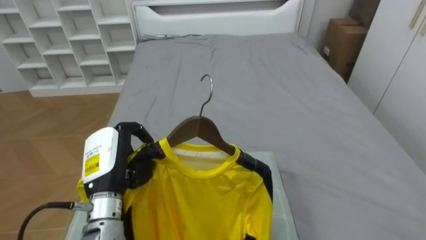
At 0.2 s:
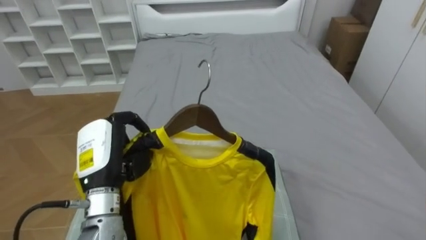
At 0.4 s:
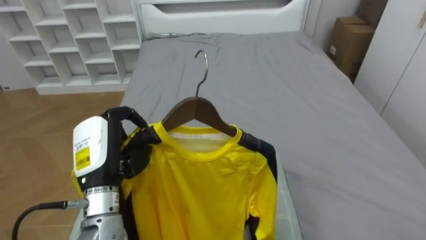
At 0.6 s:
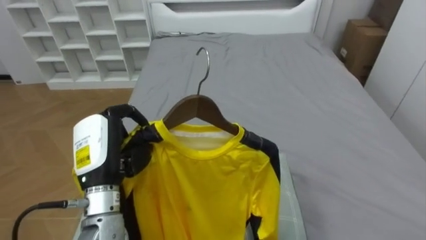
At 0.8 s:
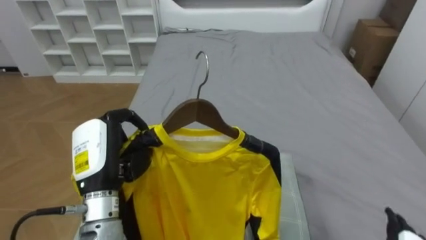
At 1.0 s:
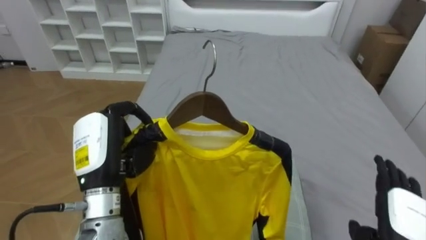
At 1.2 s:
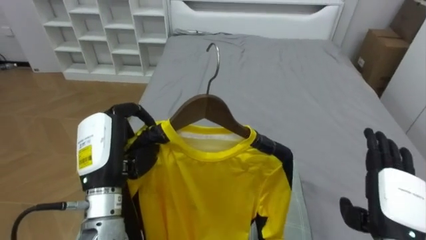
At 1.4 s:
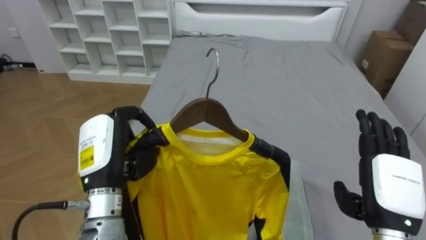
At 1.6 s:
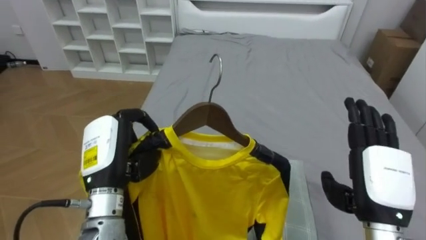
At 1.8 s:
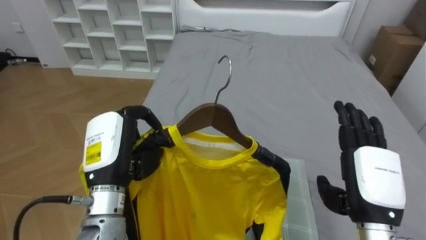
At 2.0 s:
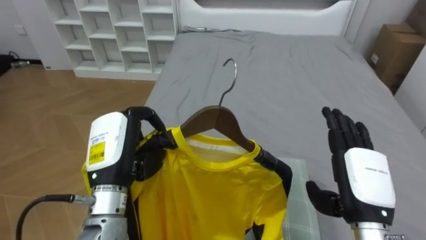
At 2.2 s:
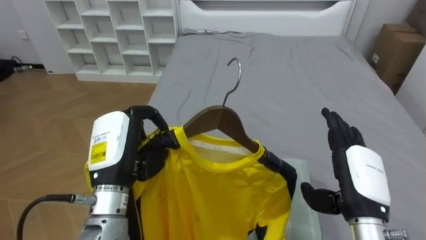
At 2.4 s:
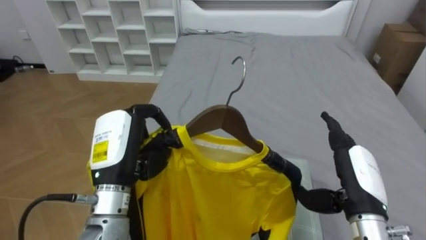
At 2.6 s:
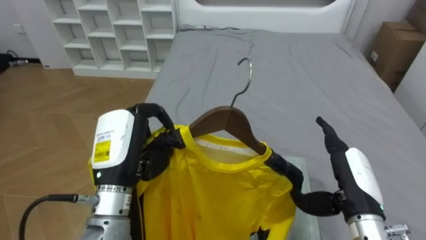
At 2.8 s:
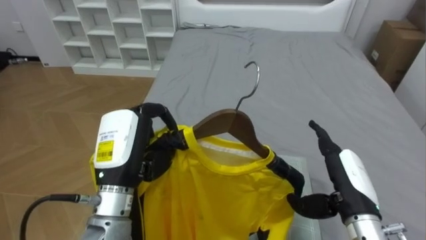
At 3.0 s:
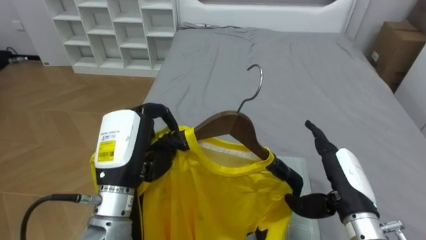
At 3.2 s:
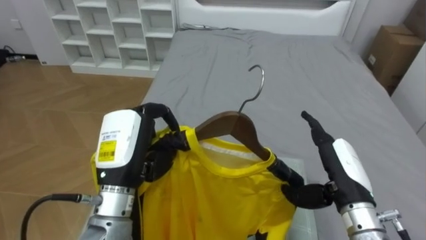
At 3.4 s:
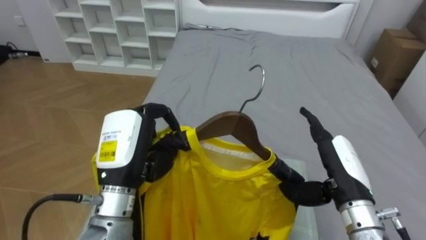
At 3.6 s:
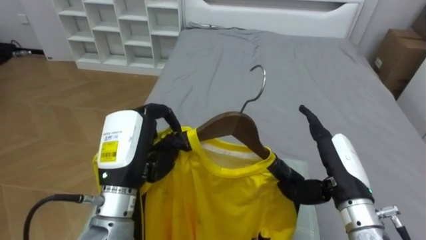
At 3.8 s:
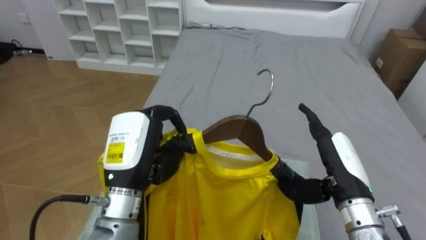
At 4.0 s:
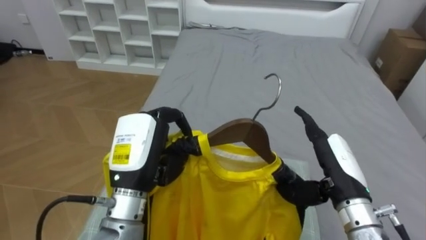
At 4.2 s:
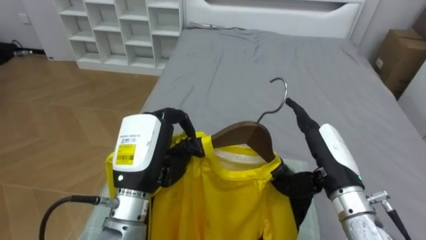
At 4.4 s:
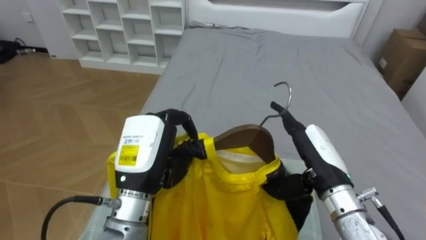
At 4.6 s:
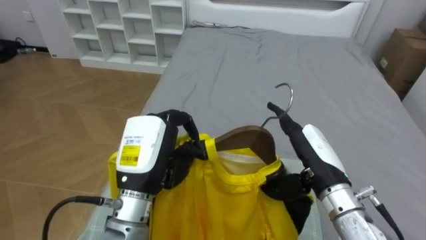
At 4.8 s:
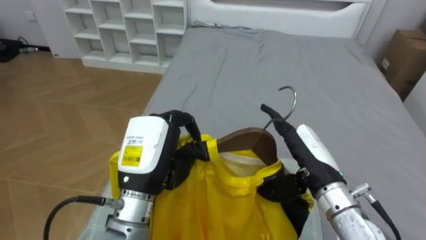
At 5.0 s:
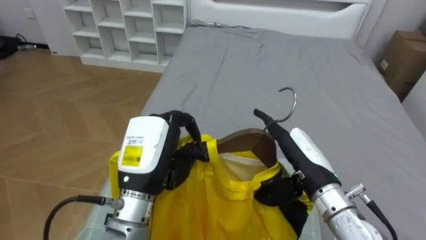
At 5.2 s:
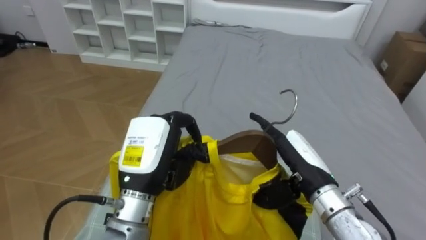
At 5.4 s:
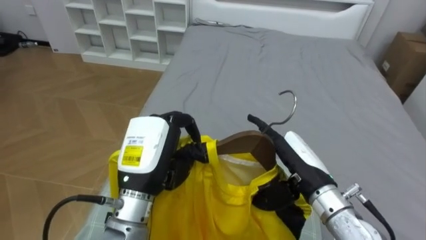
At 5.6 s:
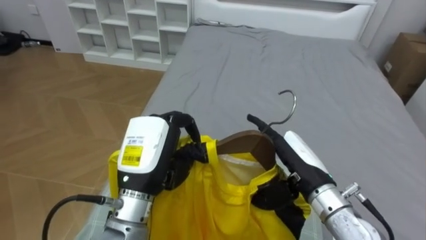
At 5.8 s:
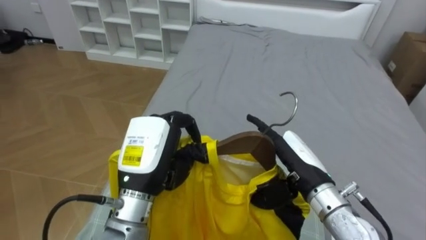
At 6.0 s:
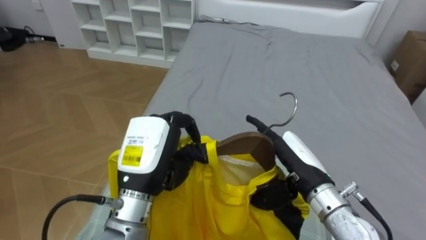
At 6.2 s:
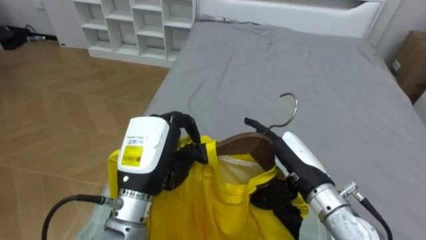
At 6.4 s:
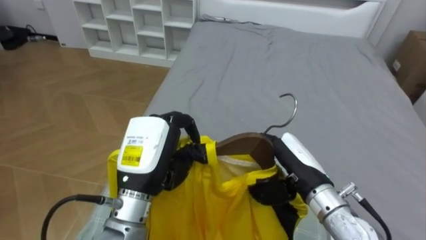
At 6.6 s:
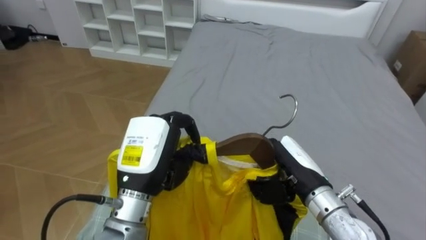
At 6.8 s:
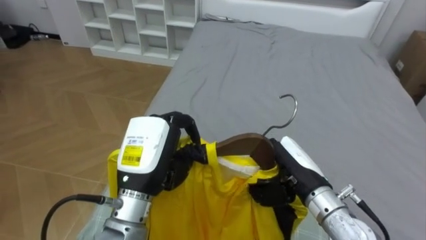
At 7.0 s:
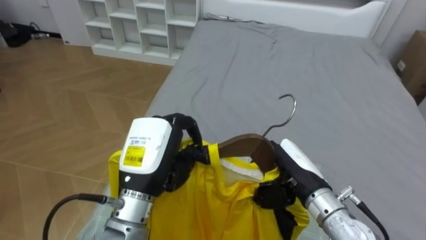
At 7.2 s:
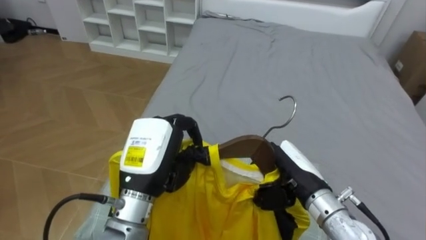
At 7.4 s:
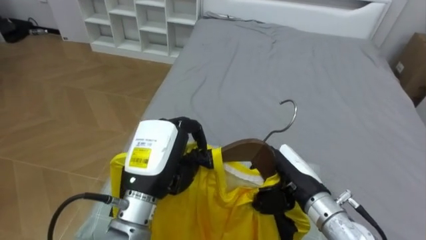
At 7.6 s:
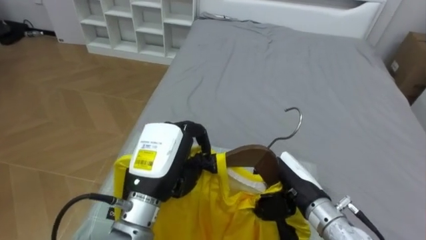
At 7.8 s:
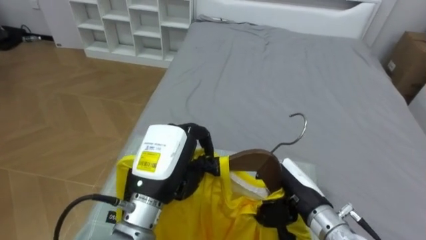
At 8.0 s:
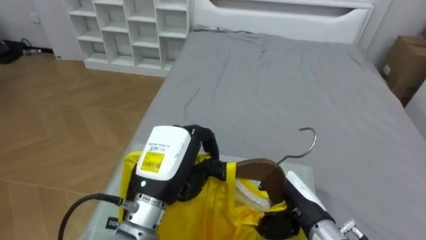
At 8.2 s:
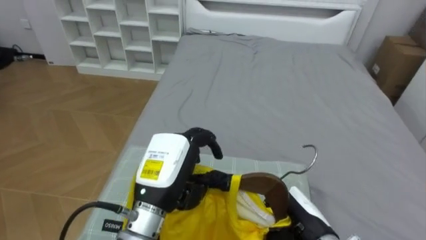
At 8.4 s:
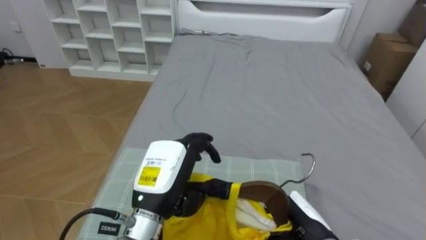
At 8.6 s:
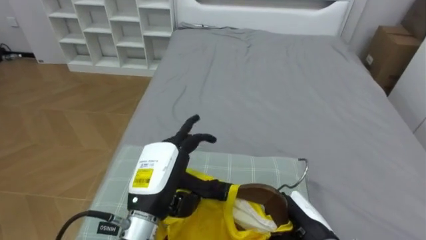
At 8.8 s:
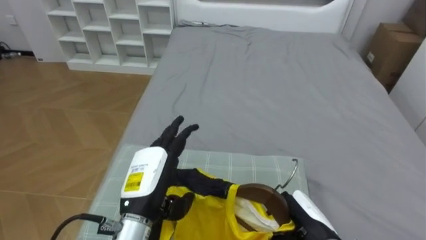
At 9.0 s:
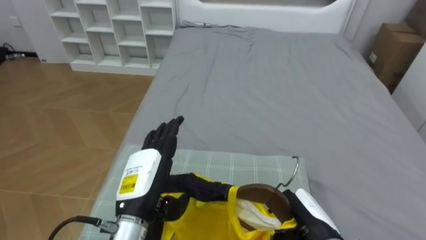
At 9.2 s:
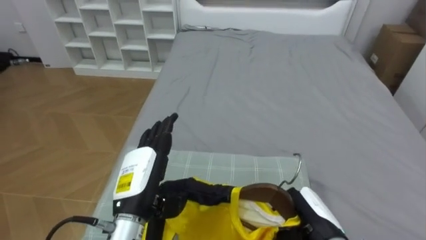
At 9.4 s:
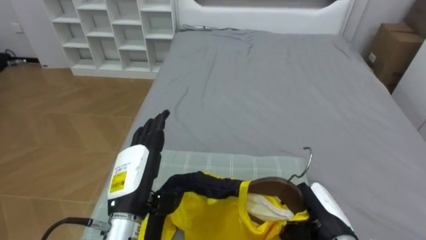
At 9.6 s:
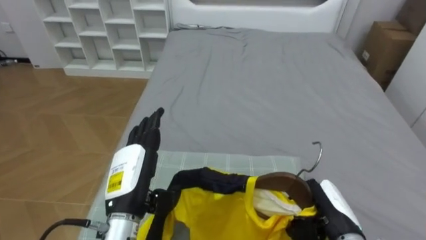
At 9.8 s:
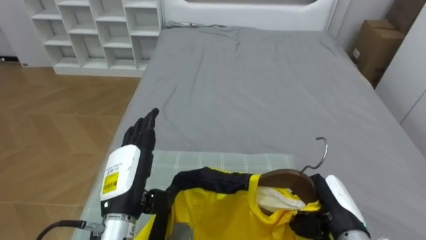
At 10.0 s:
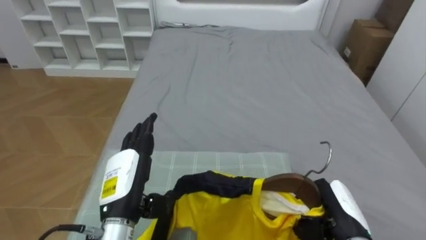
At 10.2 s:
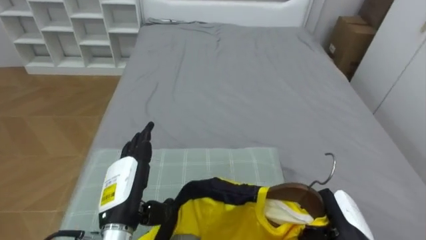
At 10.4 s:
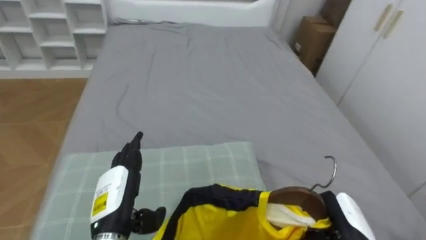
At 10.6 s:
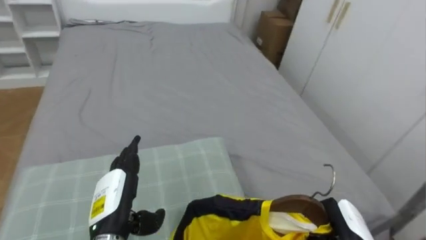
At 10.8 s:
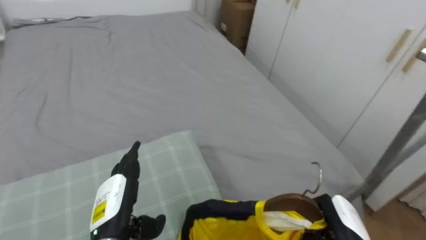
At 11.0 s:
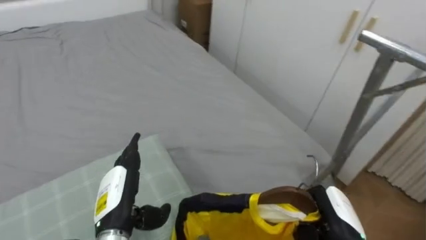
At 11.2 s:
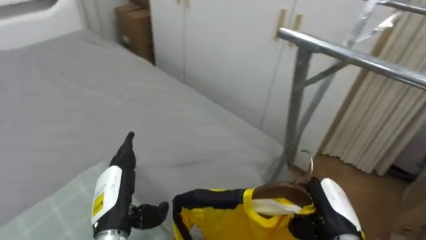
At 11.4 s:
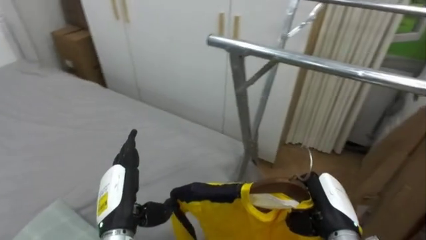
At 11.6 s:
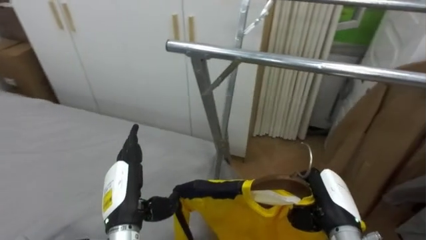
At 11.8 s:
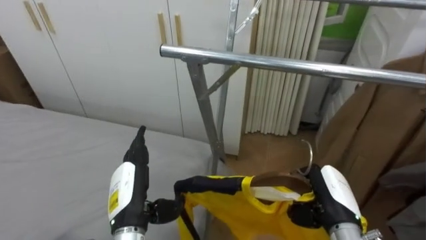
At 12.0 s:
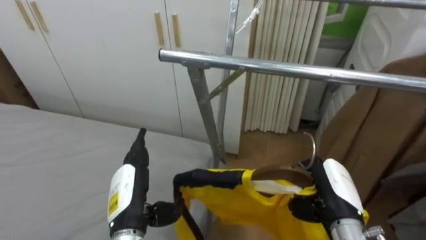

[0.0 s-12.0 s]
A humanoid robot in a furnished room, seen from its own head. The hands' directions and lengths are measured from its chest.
Task of the whole recording: Pick up the yellow shirt on the bed and hang it on the clothes rack on the right.
1.6 to 3.0 s: The right hand ends up about 5 cm from where it was.
3.0 to 4.4 s: The right hand moves about 5 cm.
6.0 to 7.6 s: The right hand closes up.
7.6 to 9.0 s: The hands both shift downward by roughly 5 cm. The left hand opens up.
9.0 to 10.4 s: The right hand travels to the right by about 5 cm, while the left hand shifts by roughly 5 cm.
10.4 to 12.0 s: The robot faces about 65 degrees further to its right. The right hand goes roughly 5 cm upward.

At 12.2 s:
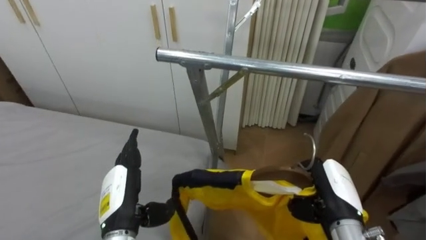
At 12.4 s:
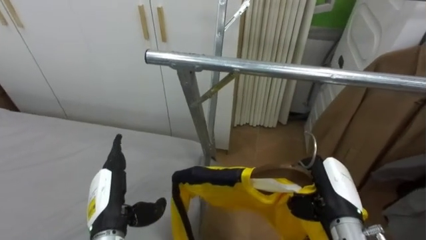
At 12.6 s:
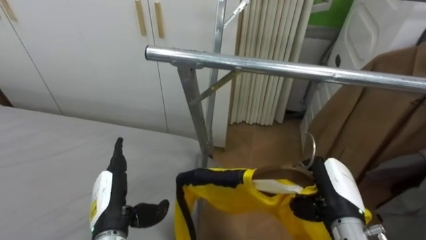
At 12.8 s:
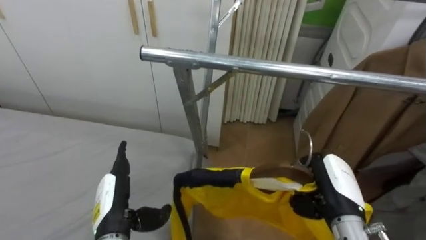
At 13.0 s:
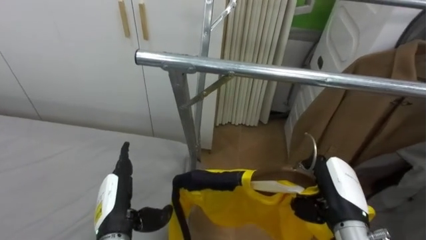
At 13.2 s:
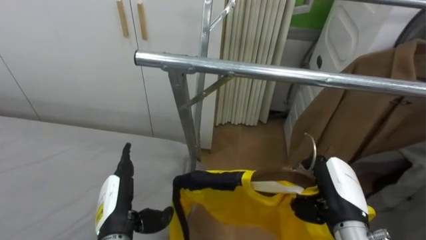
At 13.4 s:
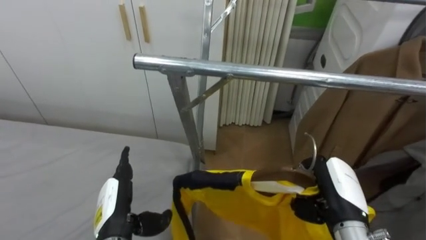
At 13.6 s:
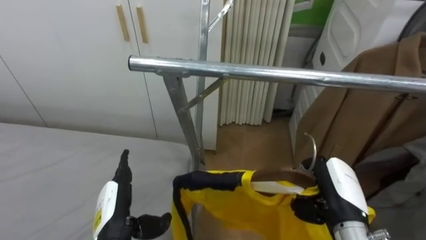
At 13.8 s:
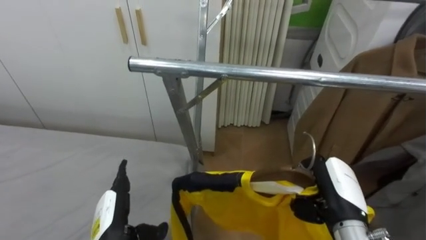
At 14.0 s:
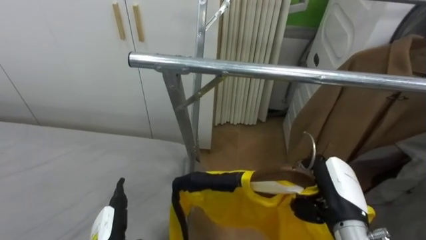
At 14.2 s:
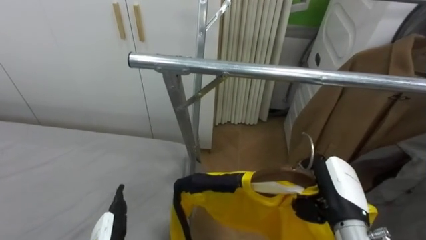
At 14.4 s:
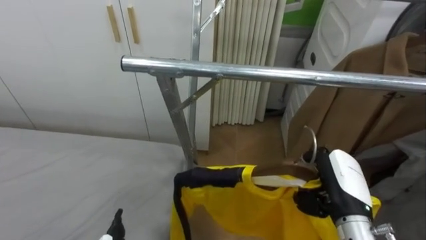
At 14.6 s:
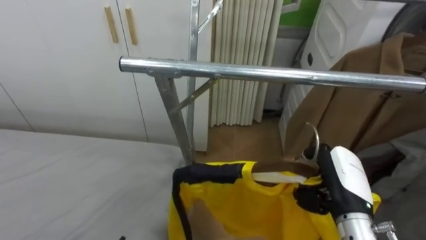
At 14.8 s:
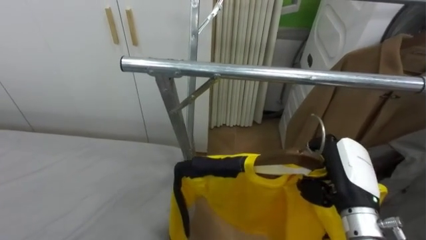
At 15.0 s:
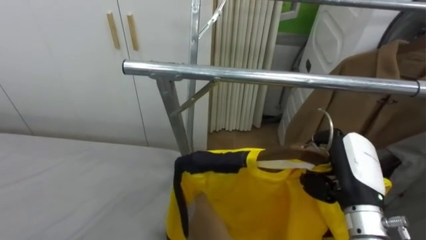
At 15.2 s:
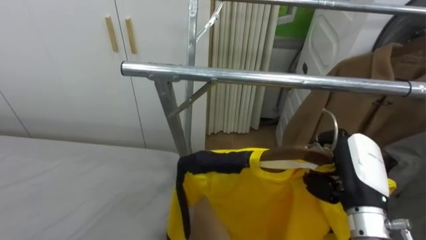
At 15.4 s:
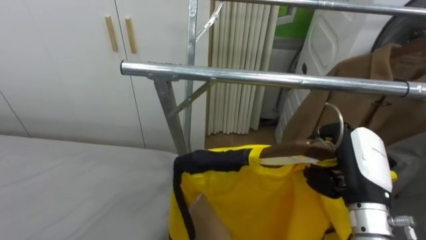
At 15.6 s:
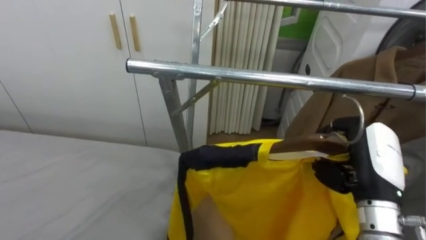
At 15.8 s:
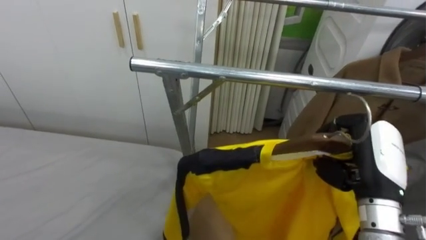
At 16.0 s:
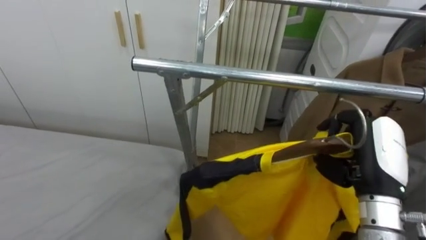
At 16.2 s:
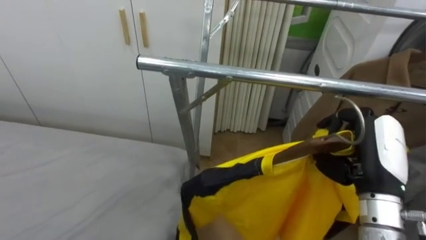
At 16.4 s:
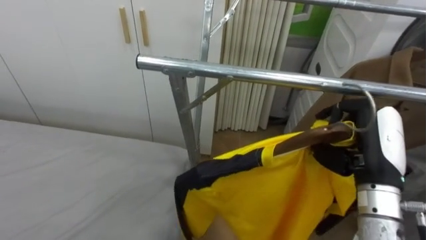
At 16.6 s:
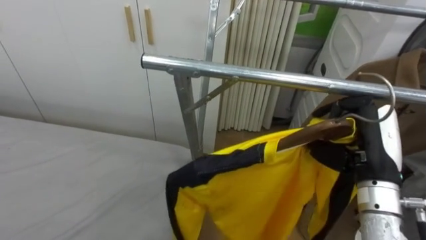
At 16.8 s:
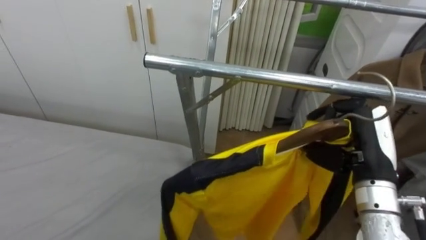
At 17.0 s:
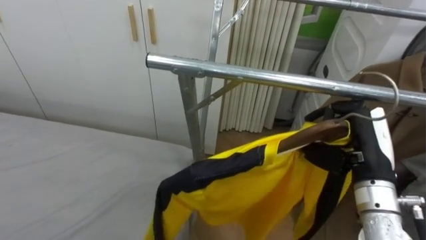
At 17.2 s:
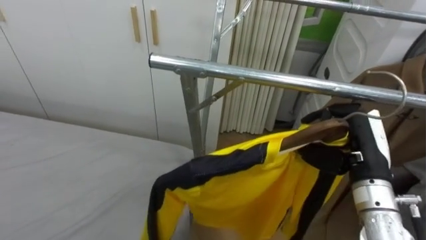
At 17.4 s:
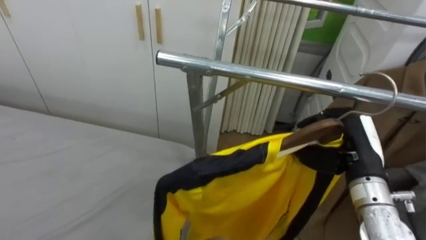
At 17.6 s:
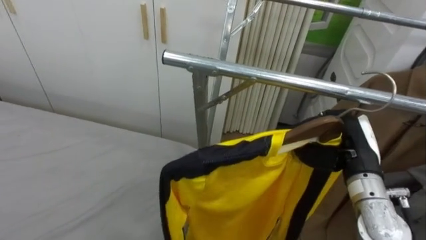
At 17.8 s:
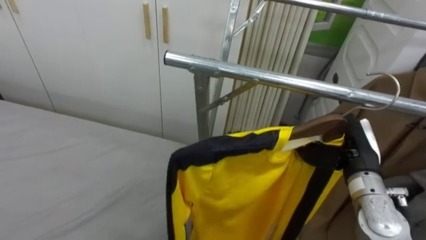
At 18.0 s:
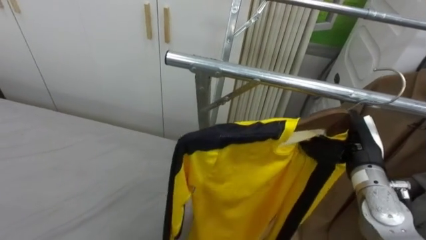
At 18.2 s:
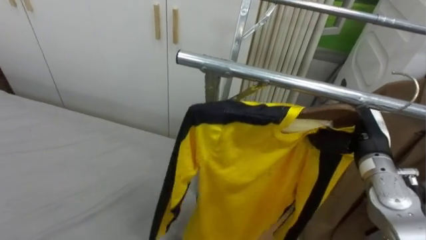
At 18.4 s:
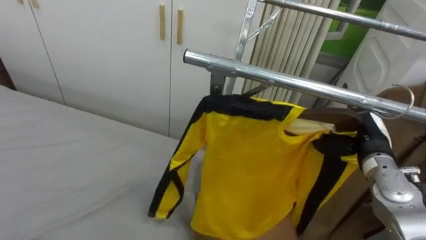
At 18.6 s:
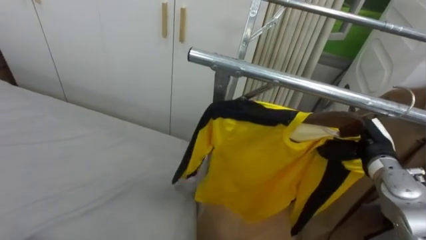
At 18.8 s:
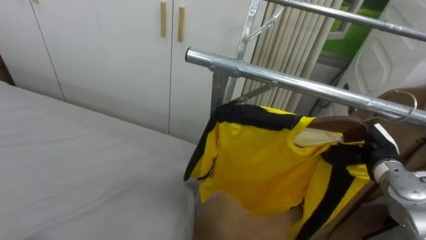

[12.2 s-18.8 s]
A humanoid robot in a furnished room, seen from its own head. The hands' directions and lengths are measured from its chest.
Task of the whole recording: Pick up the yellow shirt on the bed and hang it on the clothes rack on the right.
12.2 to 13.8 s: The left hand shifts by some 5 cm.
13.8 to 15.4 s: The right hand heads upward, covering some 5 cm.
17.2 to 18.8 s: The right hand travels downward, forward and to the right by about 15 cm.
